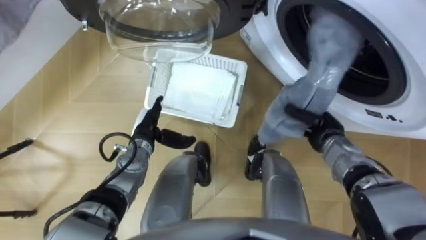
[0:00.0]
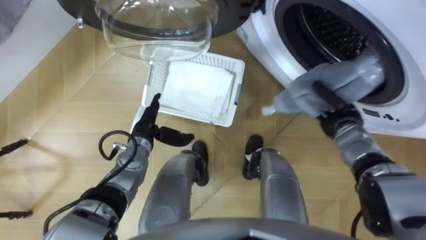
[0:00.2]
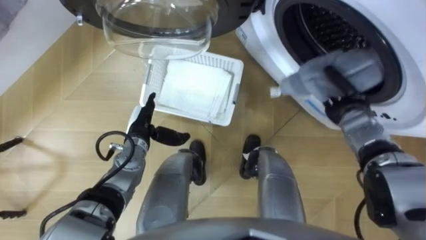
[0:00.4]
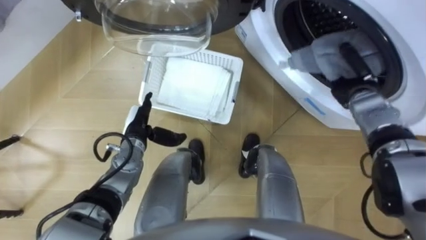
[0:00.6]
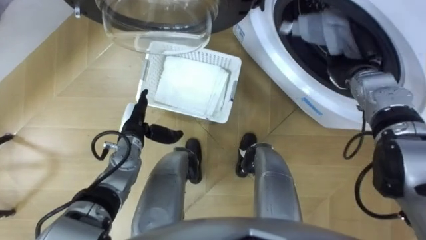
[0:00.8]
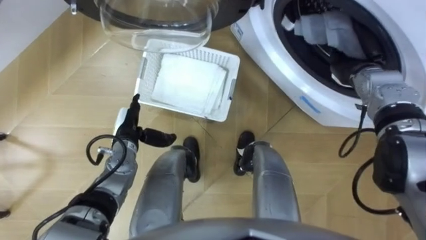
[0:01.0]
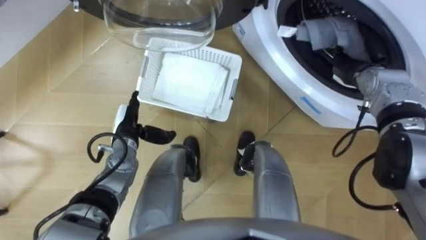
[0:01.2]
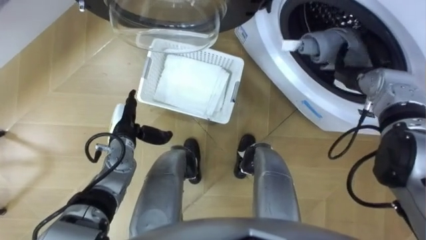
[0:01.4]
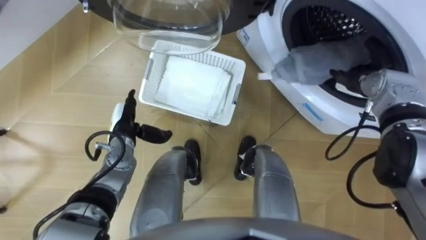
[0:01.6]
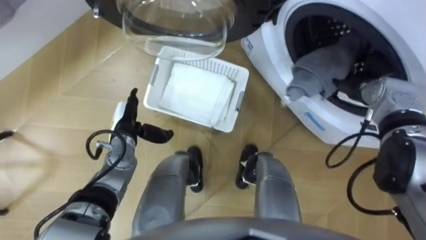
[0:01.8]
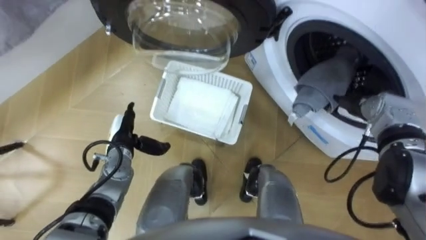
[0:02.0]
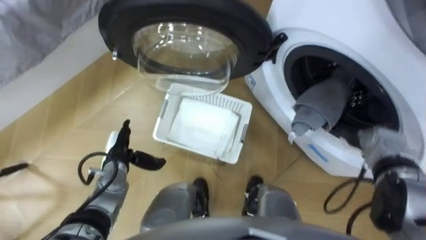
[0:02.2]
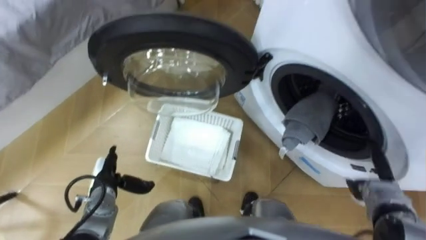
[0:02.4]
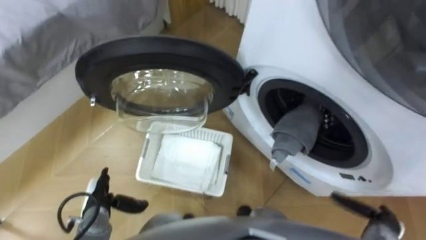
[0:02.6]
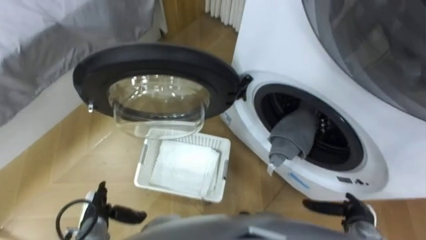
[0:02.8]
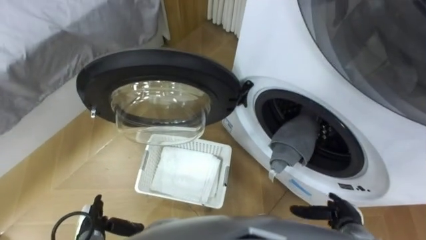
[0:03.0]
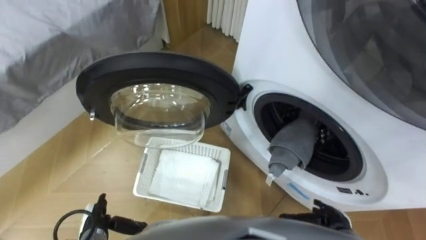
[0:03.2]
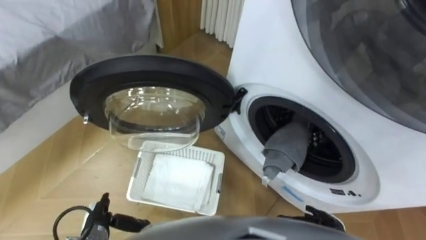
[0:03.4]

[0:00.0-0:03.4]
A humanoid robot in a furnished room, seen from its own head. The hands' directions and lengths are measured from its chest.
Task of the whole recording: Take the towel from the basket and put it into the washing machine.
0:00.0 to 0:01.6: The left hand shifts by about 5 cm. Meanwhile the right hand heads upward, forward and to the right, covering roughly 15 cm, and opens.
0:01.6 to 0:03.4: The right hand is displaced backward and downward by approximately 35 cm; the left hand goes some 20 cm backward and downward.

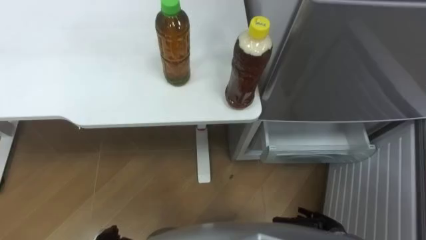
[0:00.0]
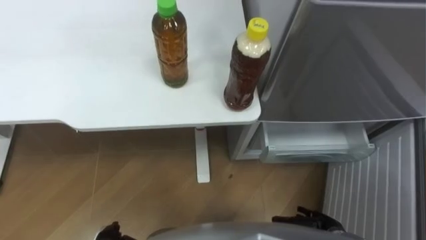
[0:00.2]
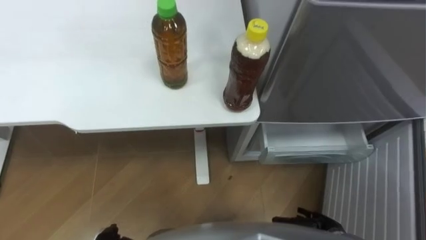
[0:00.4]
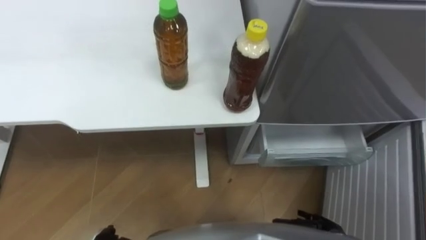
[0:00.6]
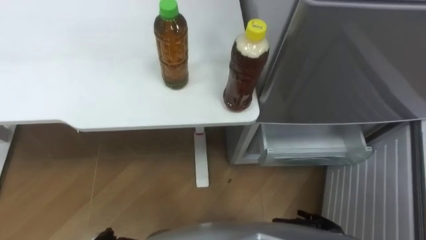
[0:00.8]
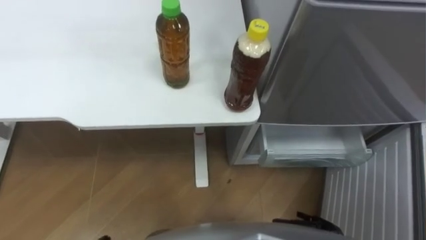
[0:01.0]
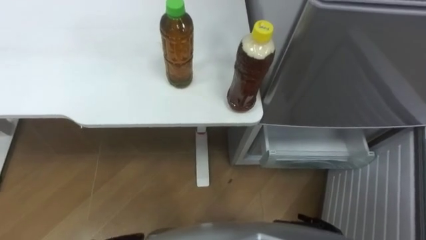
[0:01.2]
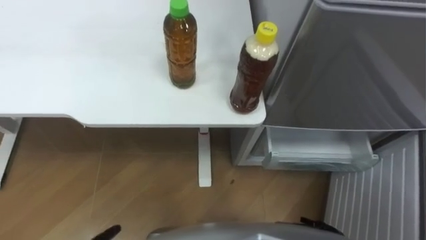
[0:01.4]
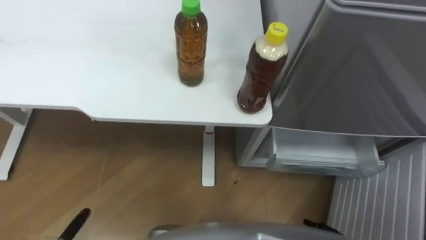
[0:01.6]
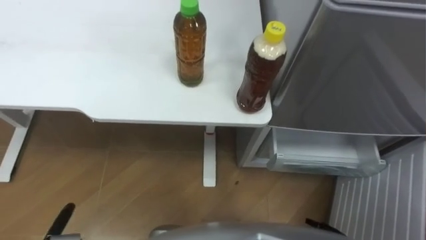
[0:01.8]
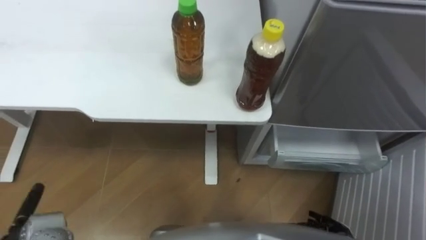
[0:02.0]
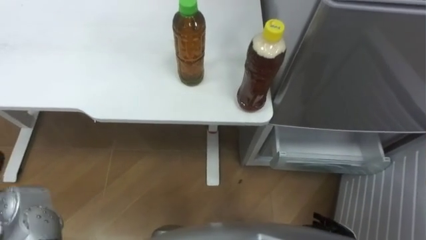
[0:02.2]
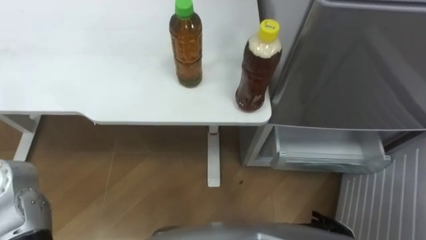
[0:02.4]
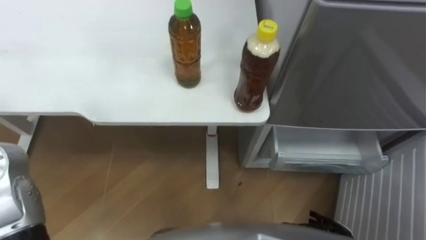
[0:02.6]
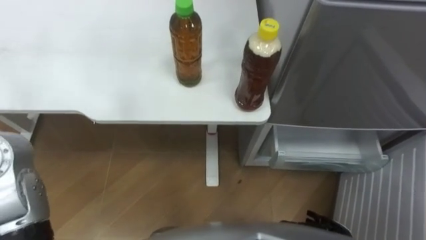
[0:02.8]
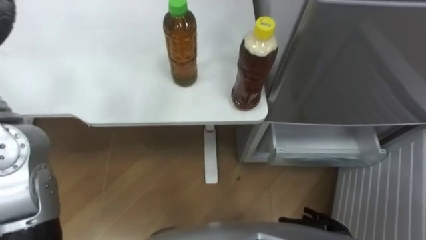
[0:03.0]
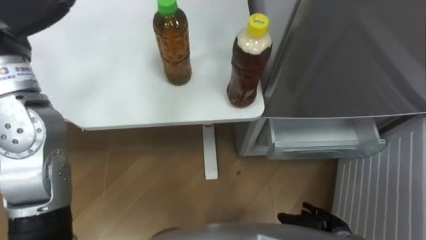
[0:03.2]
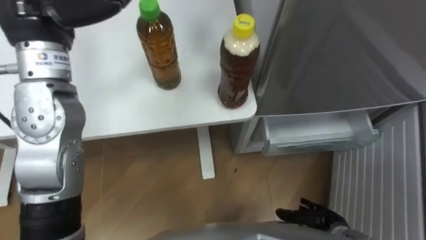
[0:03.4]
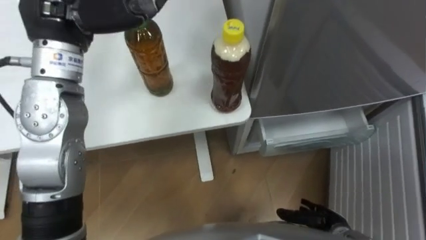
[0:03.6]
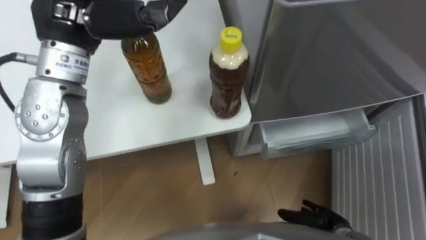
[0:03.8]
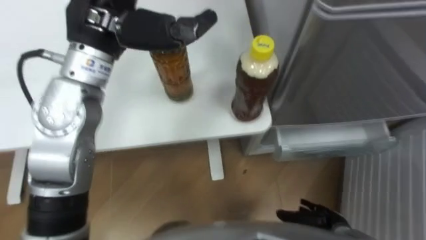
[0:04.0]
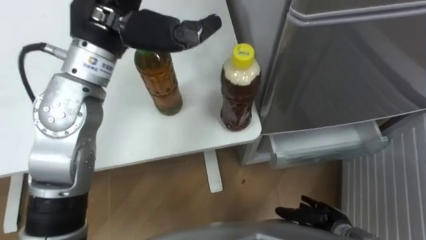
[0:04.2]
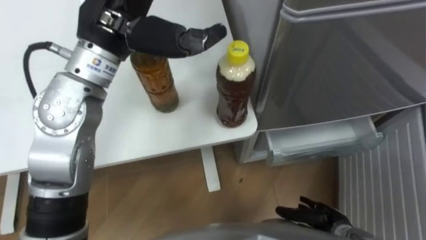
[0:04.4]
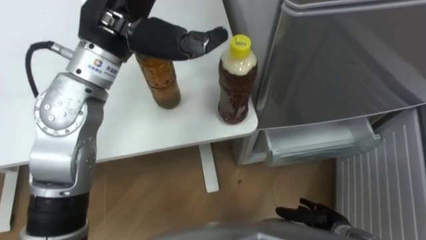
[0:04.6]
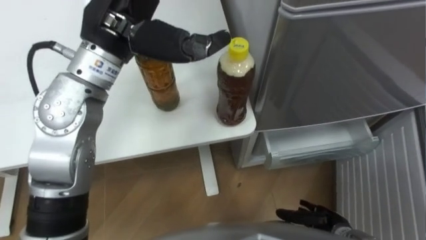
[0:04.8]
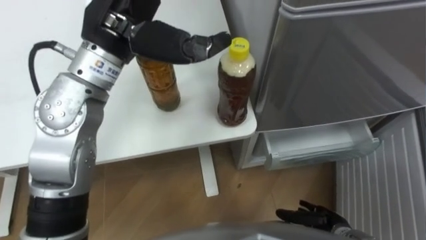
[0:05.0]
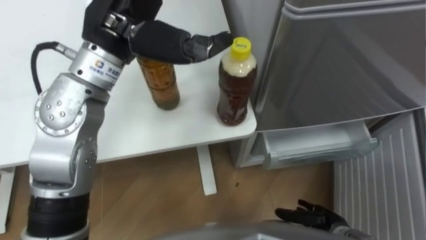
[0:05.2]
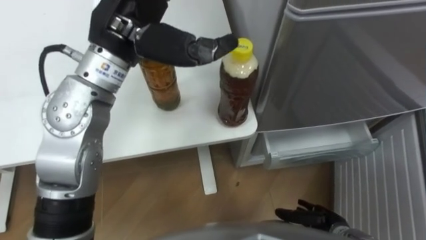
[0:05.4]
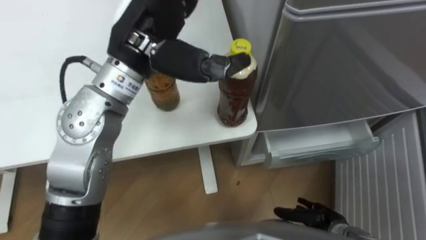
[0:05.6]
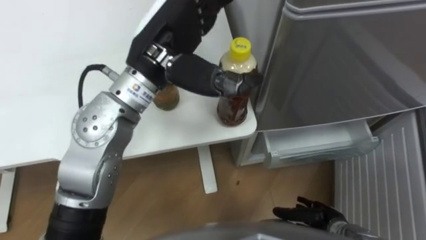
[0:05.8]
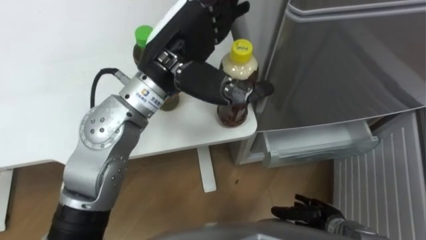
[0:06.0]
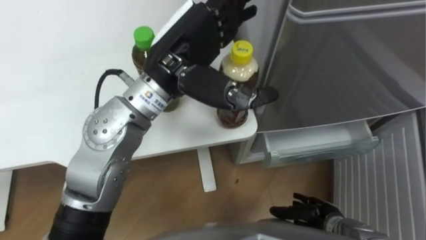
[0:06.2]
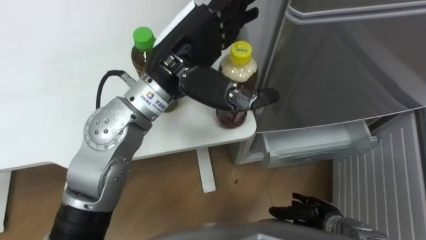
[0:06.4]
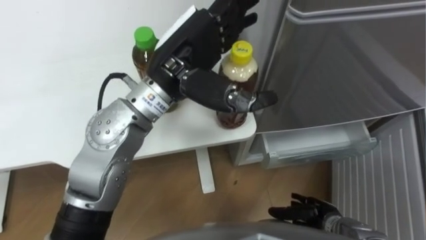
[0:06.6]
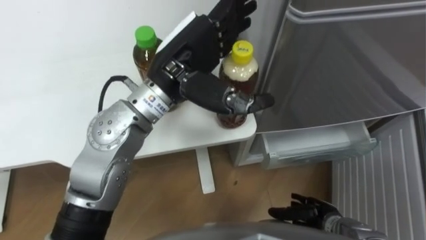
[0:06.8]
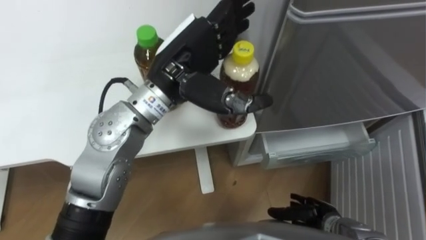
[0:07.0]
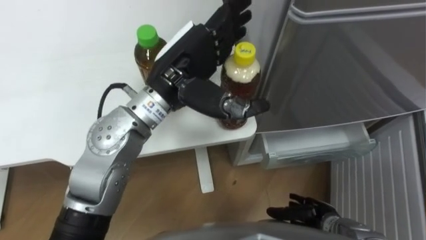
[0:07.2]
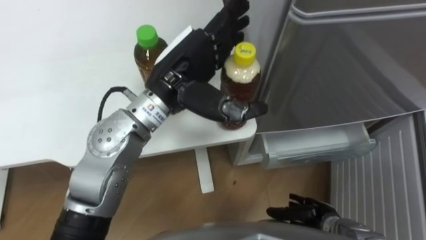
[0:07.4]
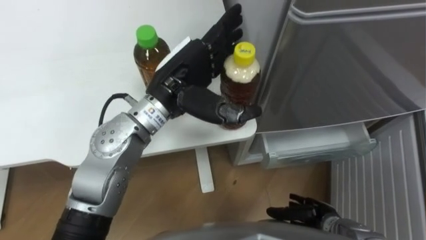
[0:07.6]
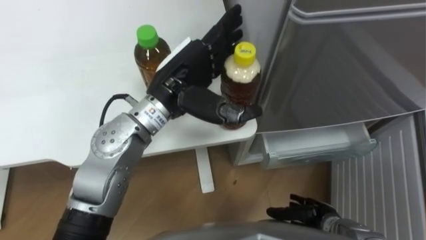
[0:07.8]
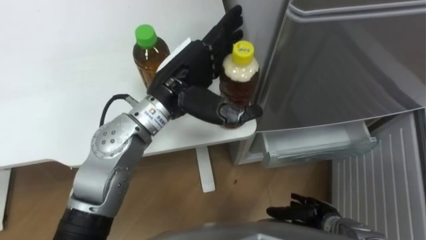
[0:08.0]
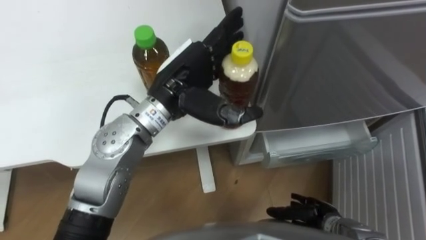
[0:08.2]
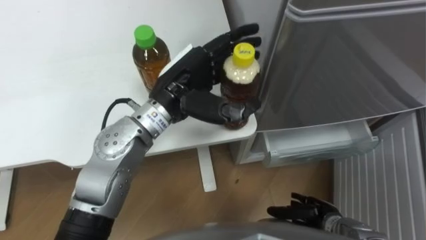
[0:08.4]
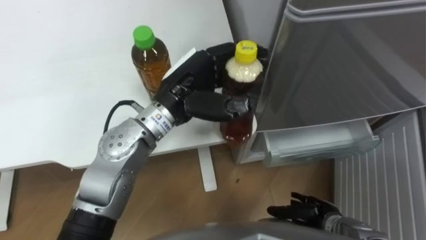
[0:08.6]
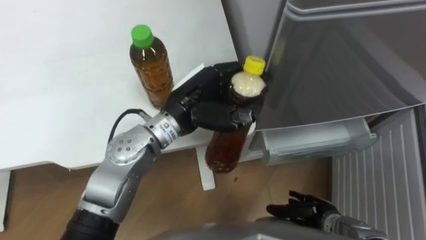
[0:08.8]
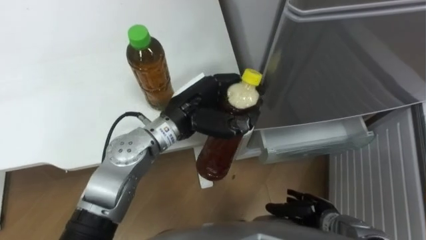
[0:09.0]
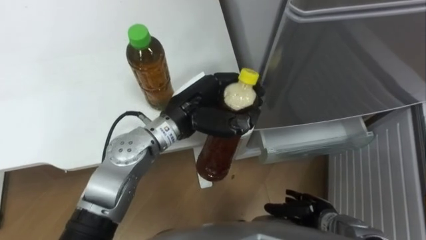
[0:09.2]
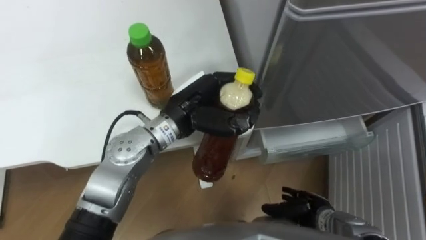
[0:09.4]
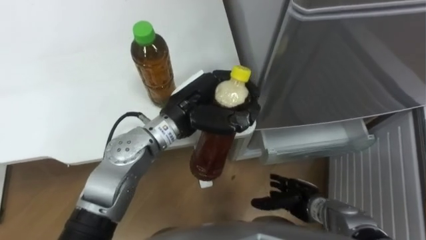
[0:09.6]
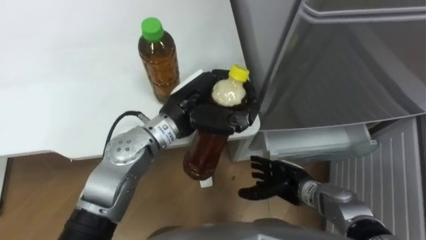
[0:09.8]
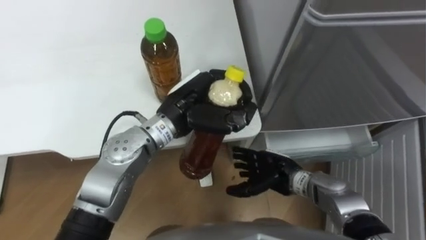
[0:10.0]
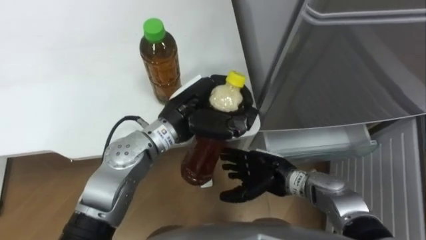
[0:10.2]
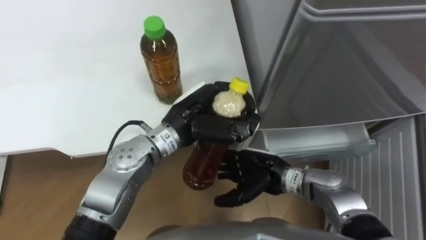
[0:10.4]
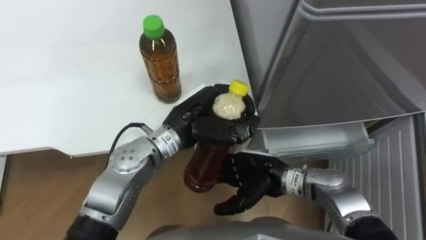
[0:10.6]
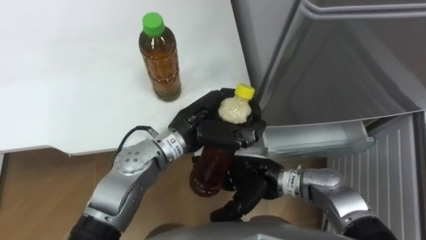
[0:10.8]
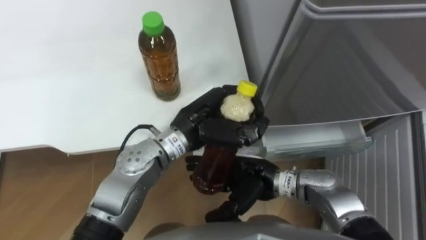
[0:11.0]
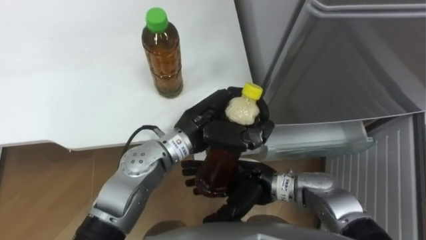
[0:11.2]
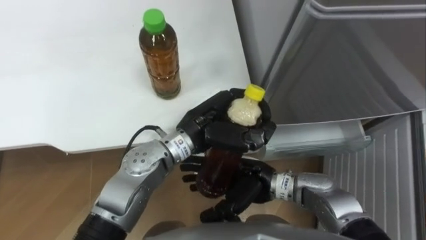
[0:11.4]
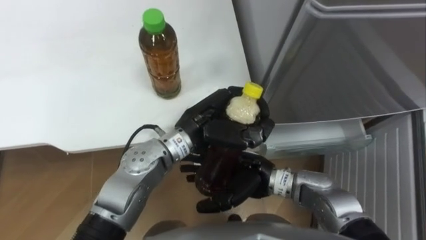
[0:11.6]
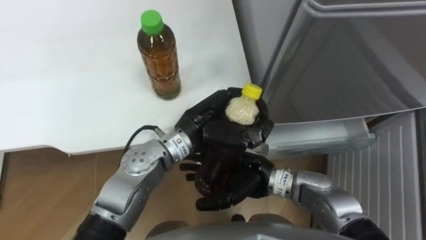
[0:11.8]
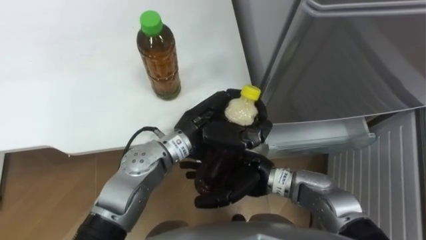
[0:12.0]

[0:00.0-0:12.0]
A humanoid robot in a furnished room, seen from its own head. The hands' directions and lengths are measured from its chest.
Task of the whole recording: Place the drink on the table on the bottom shelf of the refrigerator, then close the drawer and the refrigerator door.
0:04.4 to 0:06.0: The left hand goes about 5 cm to the right.
0:06.0 to 0:07.6: The left hand travels downward by about 5 cm.
0:07.6 to 0:09.0: The left hand moves downward, approximately 5 cm, and closes its fingers.
0:09.0 to 0:10.4: The right hand goes about 20 cm to the left, upward and forward.
0:10.4 to 0:12.0: The right hand moves approximately 5 cm.

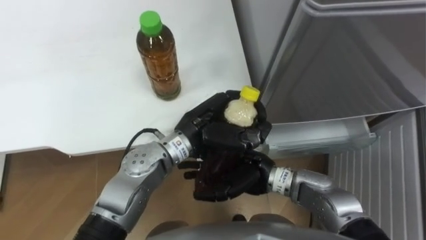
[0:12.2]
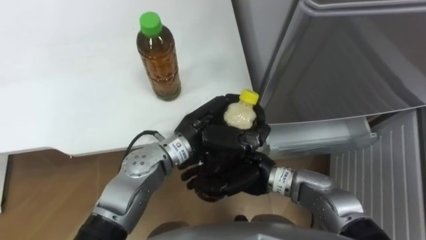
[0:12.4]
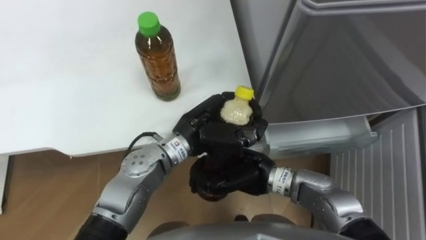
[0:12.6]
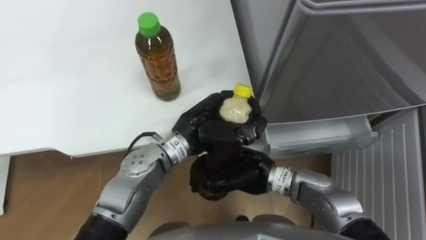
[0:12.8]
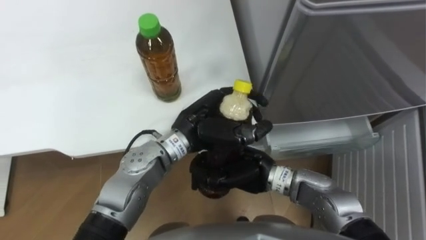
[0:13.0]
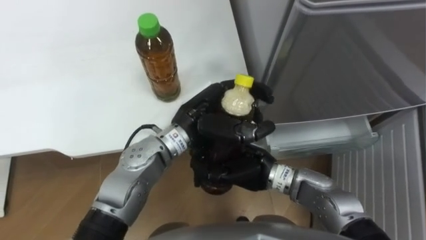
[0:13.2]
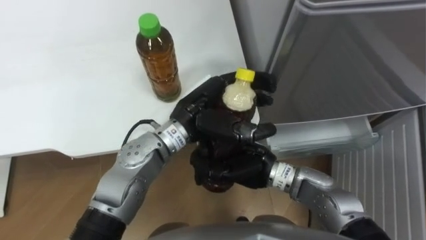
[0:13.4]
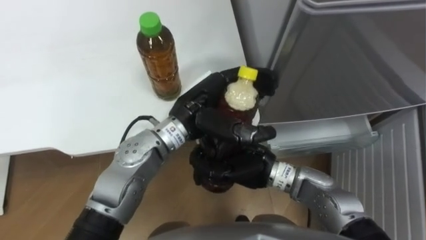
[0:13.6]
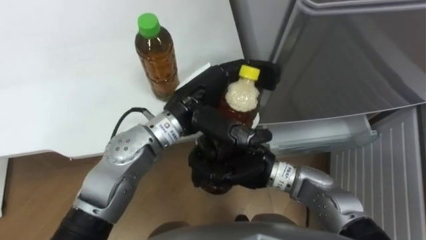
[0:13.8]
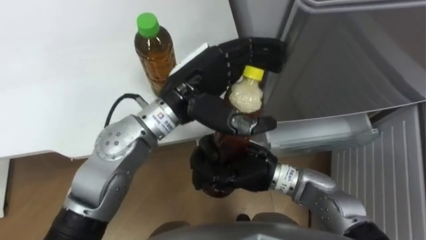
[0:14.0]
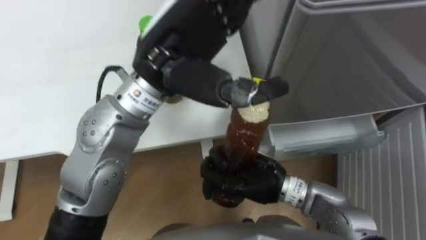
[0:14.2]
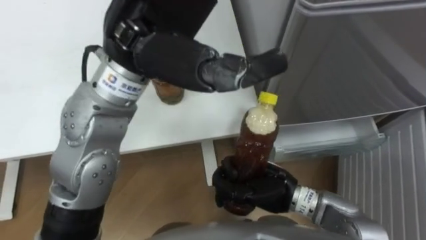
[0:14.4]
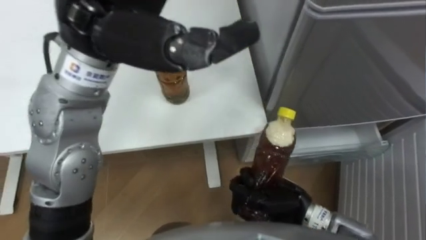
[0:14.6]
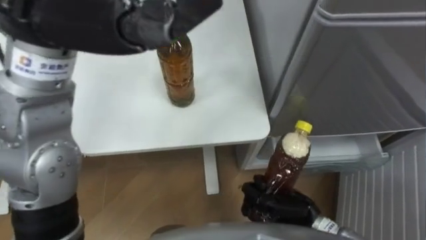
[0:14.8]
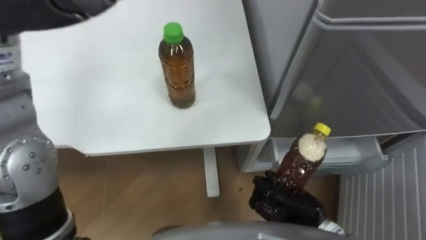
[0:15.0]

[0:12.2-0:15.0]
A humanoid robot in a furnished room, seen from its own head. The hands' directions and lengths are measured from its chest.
Task of the whole recording: Place the drink on the table on the bottom shelf of the refrigerator, then close the drawer and the refrigerator door.
0:12.2 to 0:13.6: The right hand closes up. Meanwhile the left hand opens.
0:13.6 to 0:15.0: The right hand heads to the right, downward and backward, covering about 15 cm.
